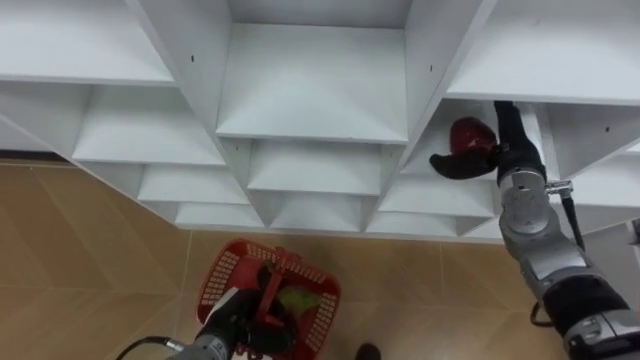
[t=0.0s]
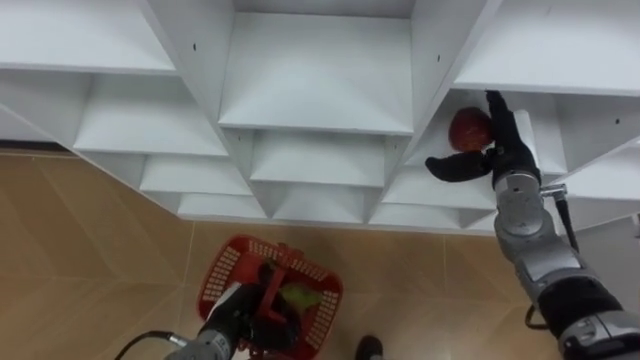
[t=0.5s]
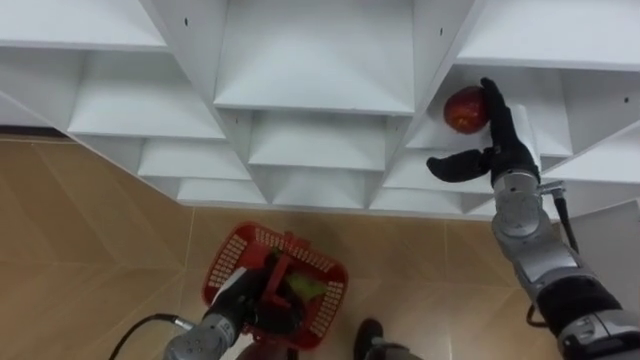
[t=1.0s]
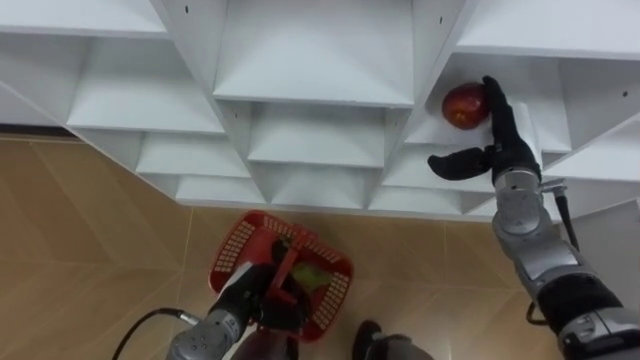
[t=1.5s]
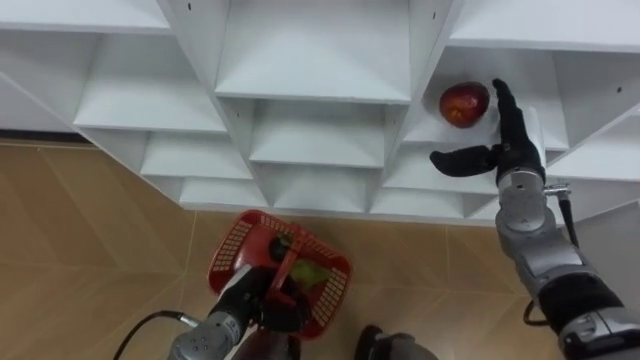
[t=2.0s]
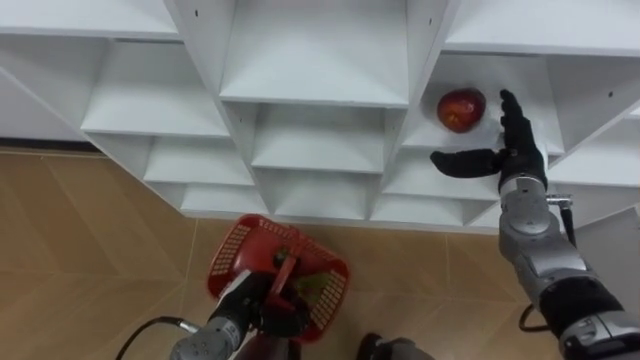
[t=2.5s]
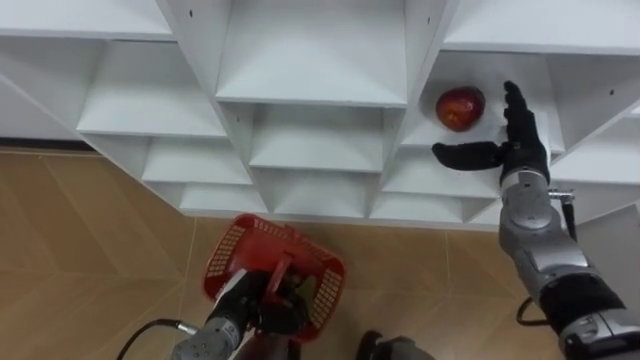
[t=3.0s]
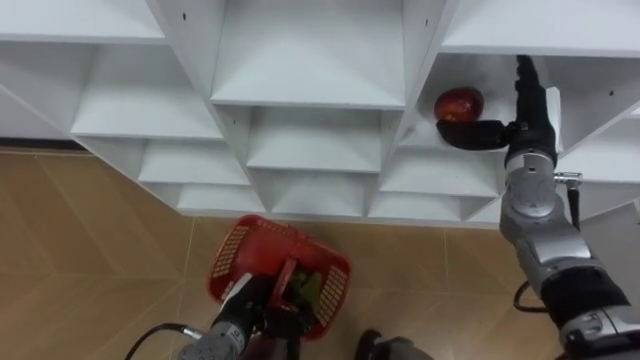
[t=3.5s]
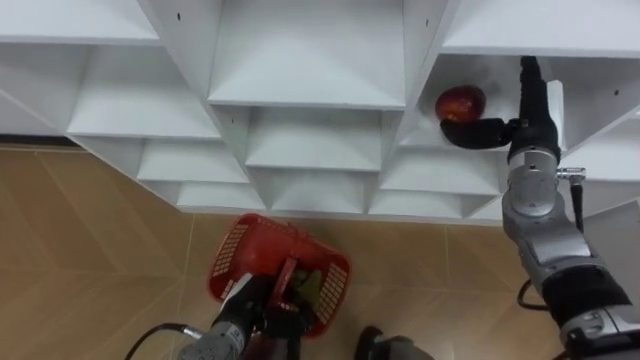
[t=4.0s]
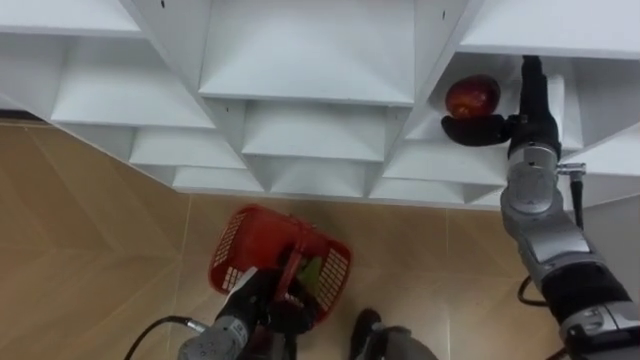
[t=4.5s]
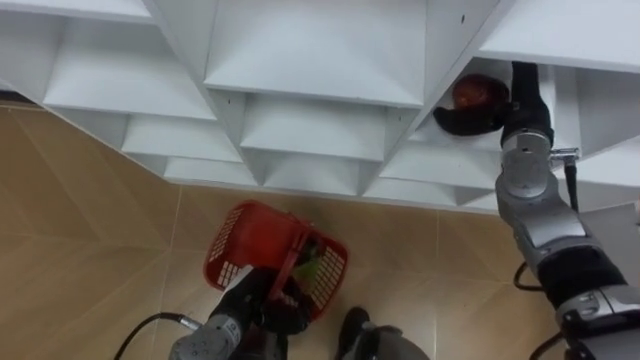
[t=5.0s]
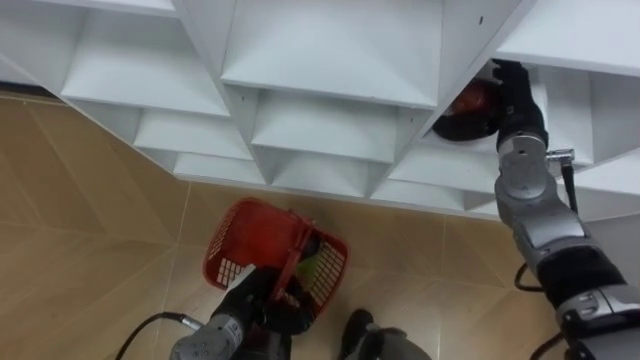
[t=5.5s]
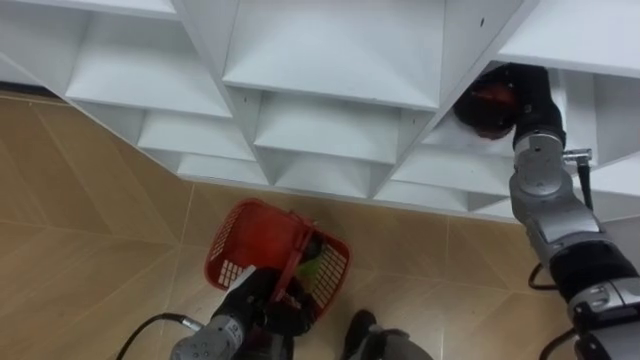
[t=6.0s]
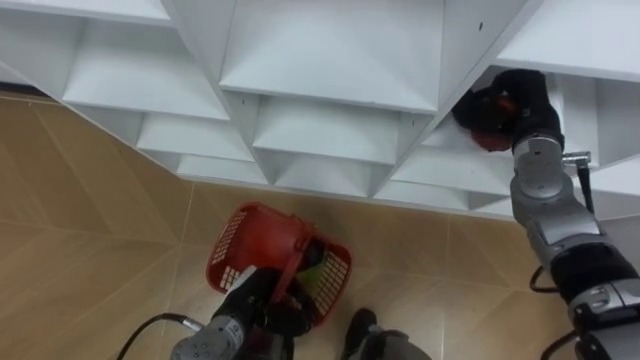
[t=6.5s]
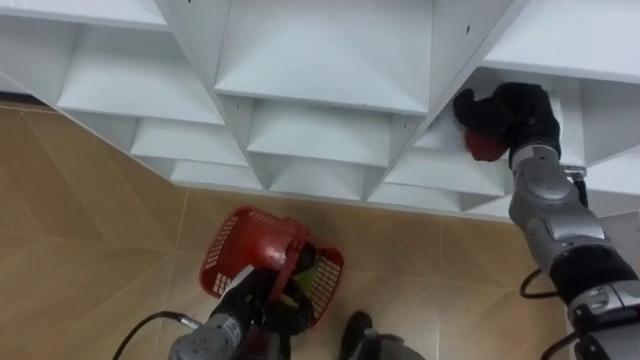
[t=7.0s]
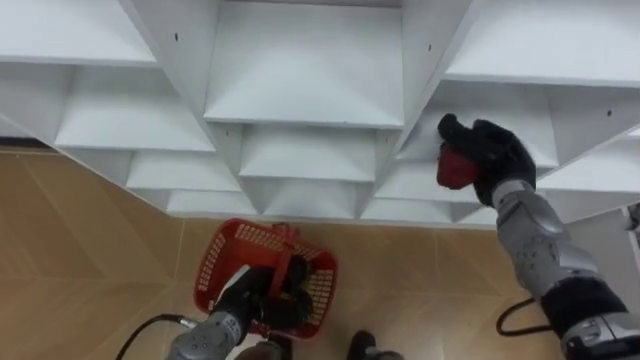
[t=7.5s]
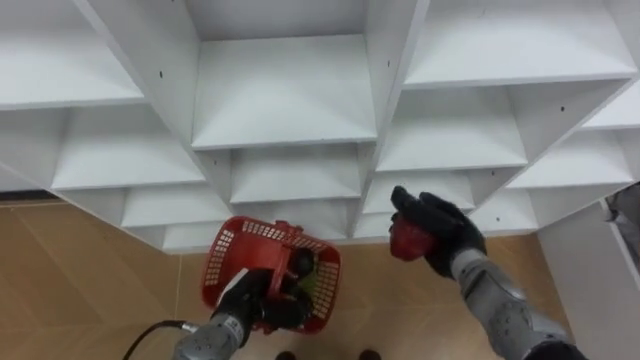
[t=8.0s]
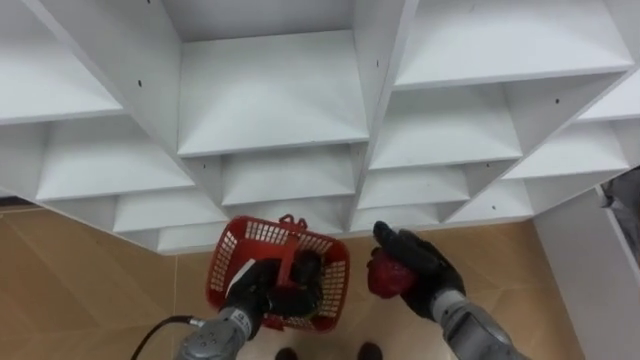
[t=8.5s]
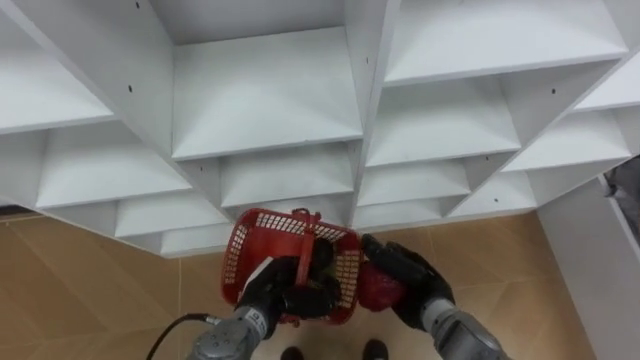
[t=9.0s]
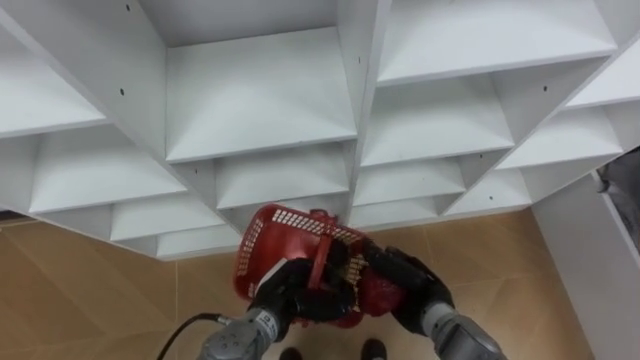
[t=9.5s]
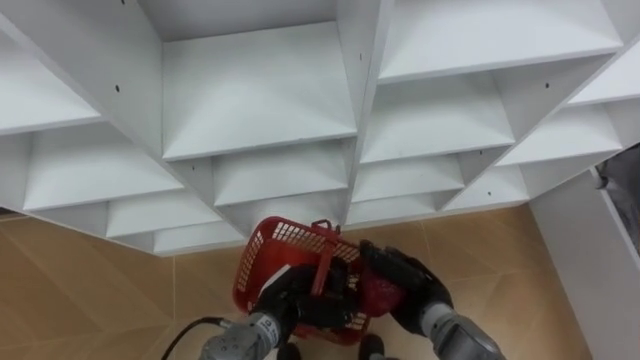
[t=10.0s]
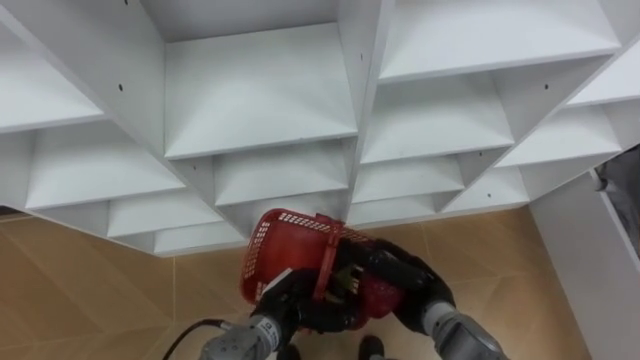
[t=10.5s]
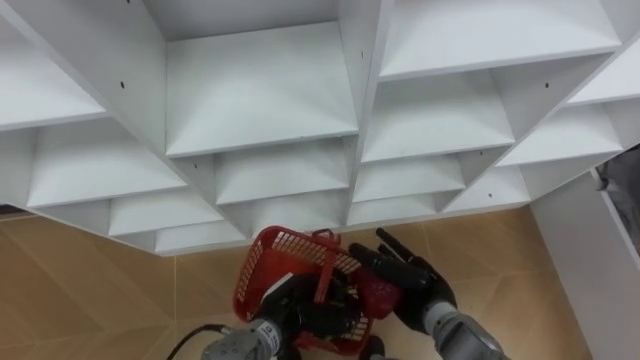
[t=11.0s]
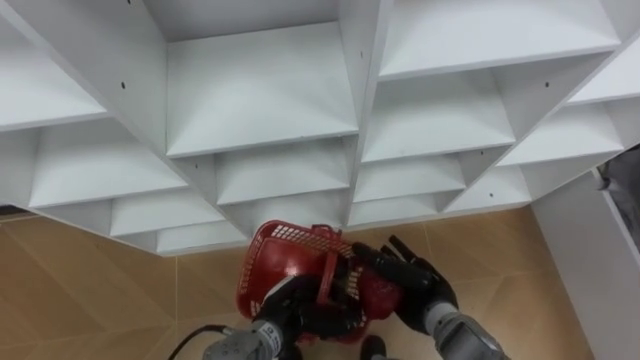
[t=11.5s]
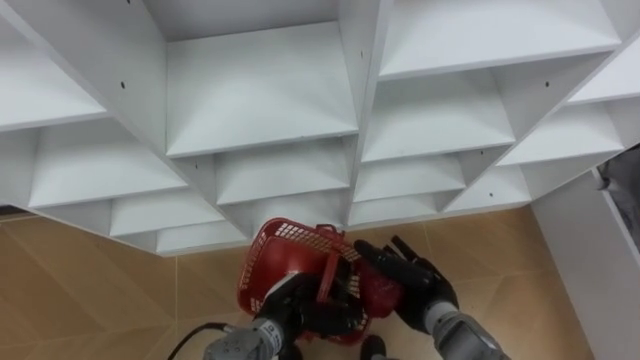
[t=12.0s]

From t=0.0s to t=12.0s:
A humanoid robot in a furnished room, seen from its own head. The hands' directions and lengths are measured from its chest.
Task of the whole recording: Hold the basket and collect the fruits from 3 different cells of the closet into it.
From t=4.0s to t=6.0s: The right hand closes its fingers.
From t=6.0s to t=8.0s: The right hand travels downward, backward and to the left by about 20 cm.
From t=8.0s to t=10.0s: The right hand goes roughly 10 cm backward and to the left, while the left hand is displaced to the right by roughly 5 cm.
From t=10.0s to t=12.0s: The right hand opens.

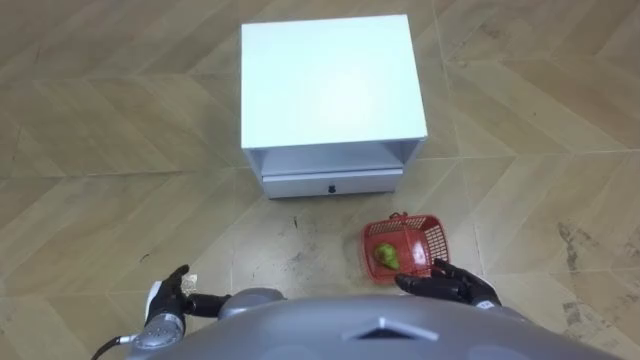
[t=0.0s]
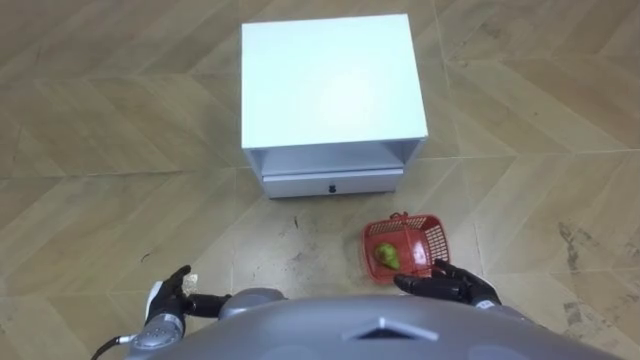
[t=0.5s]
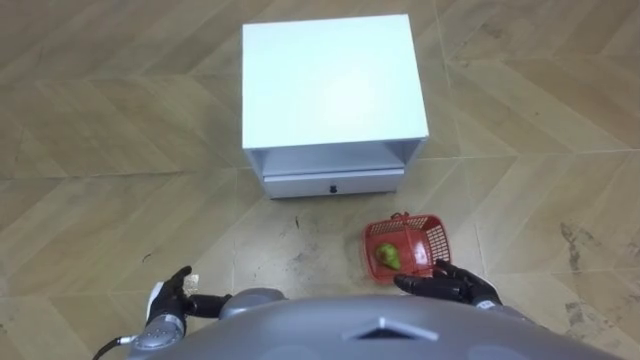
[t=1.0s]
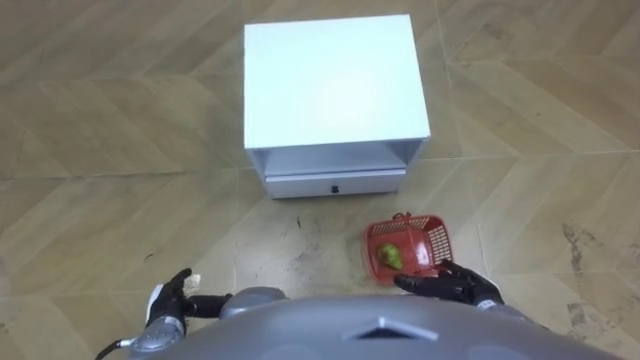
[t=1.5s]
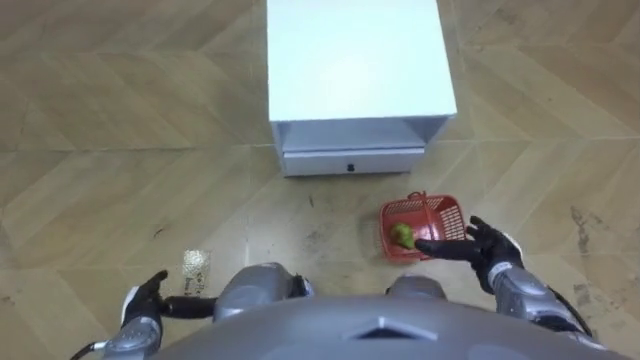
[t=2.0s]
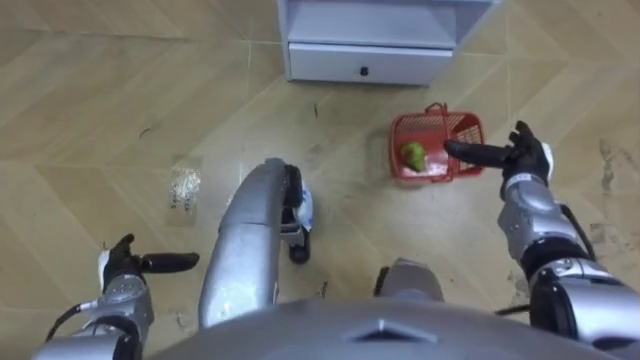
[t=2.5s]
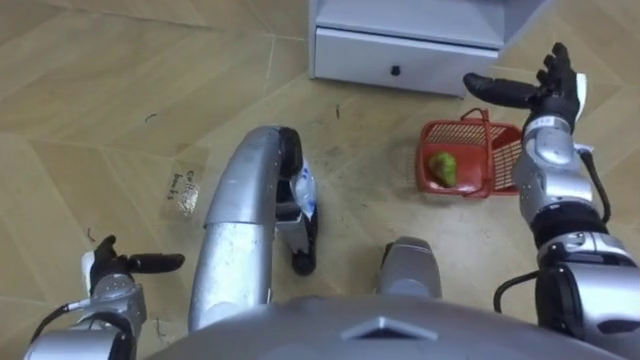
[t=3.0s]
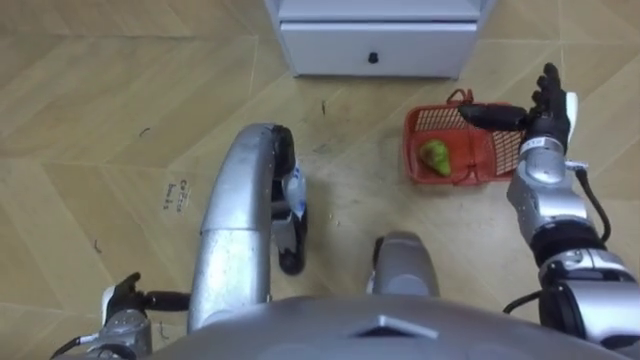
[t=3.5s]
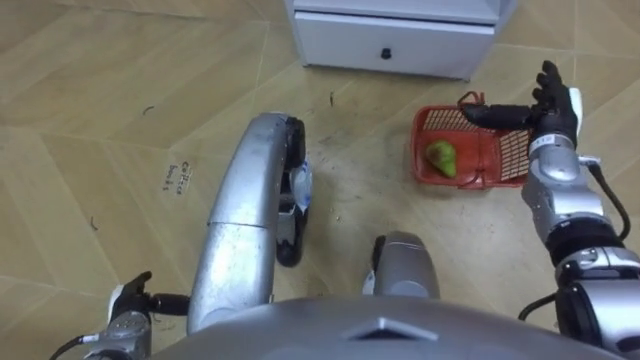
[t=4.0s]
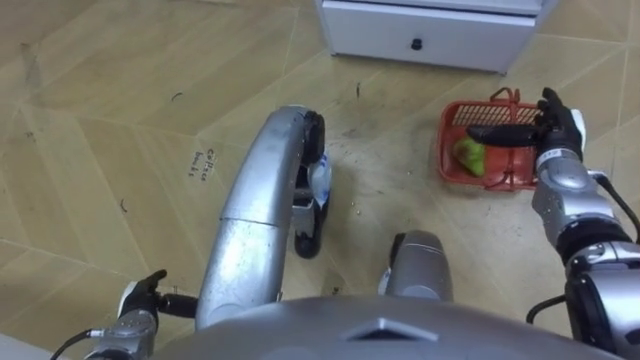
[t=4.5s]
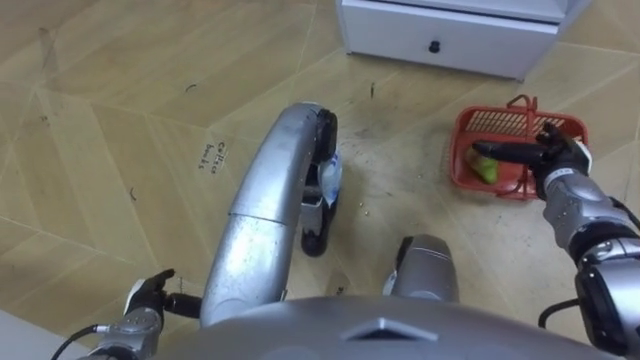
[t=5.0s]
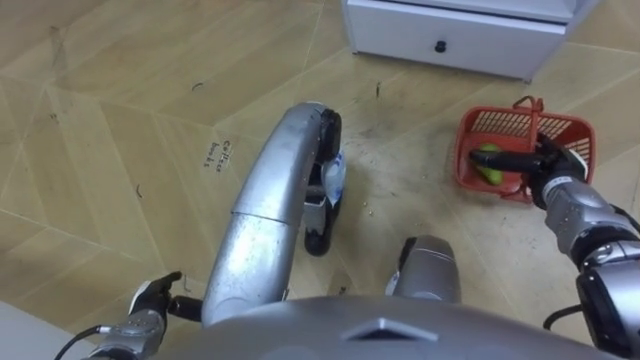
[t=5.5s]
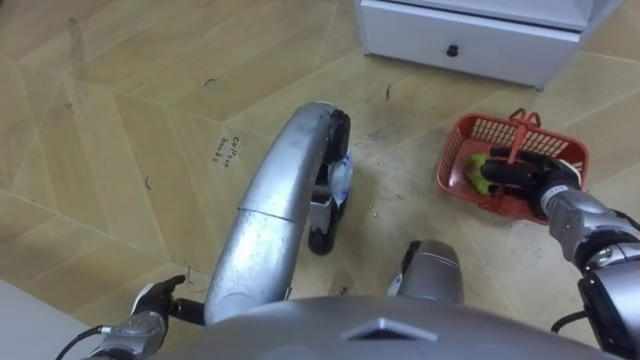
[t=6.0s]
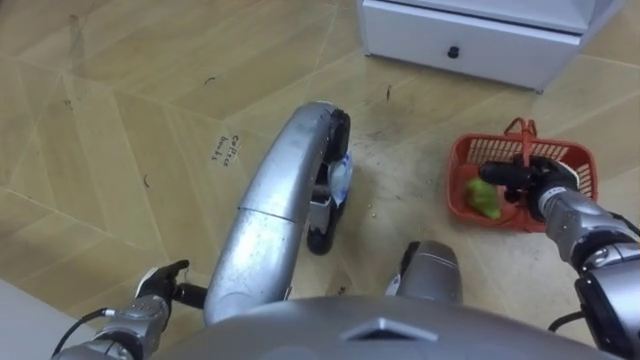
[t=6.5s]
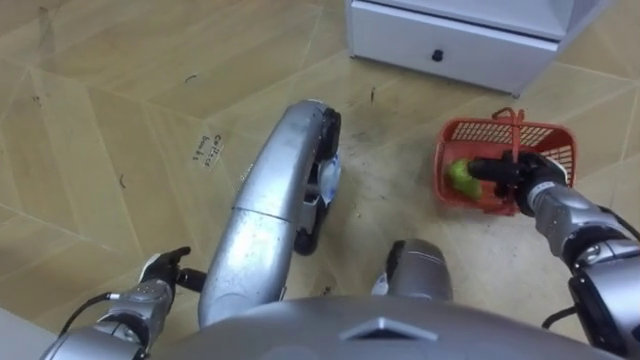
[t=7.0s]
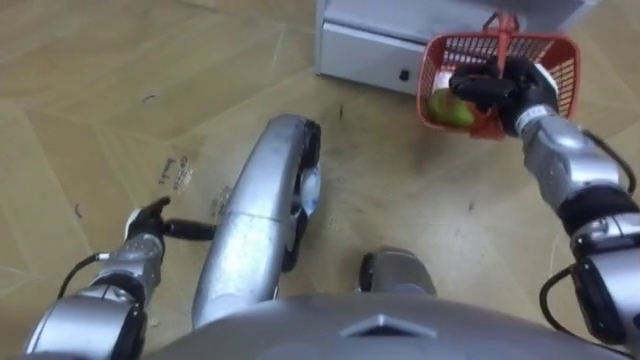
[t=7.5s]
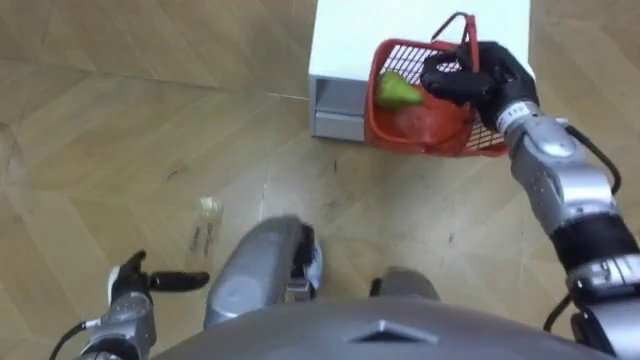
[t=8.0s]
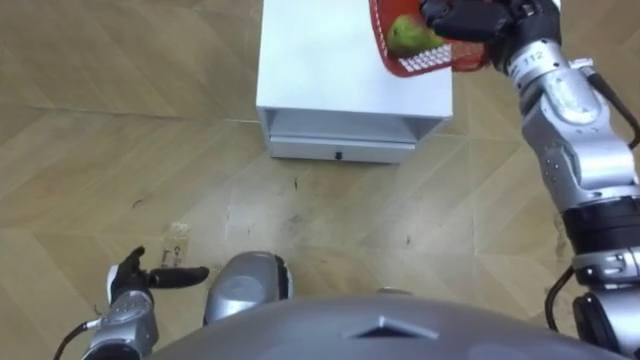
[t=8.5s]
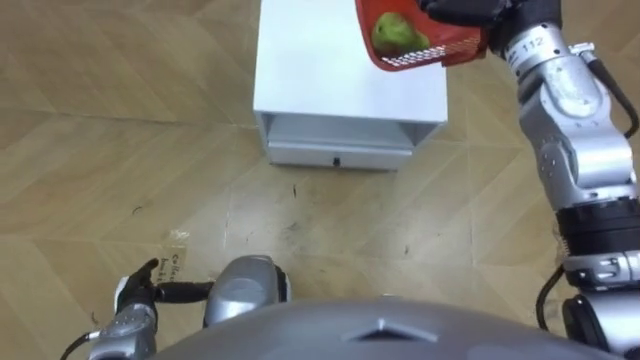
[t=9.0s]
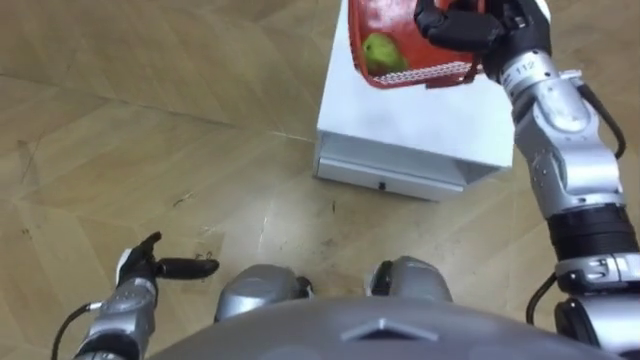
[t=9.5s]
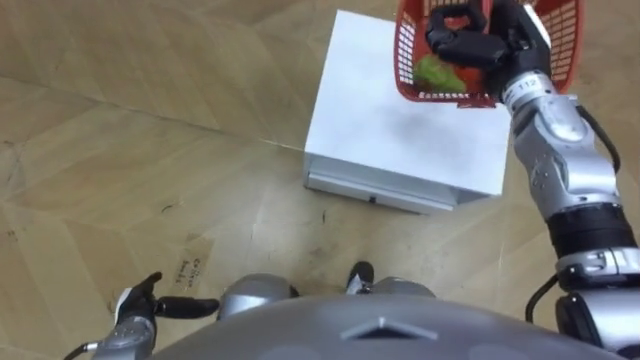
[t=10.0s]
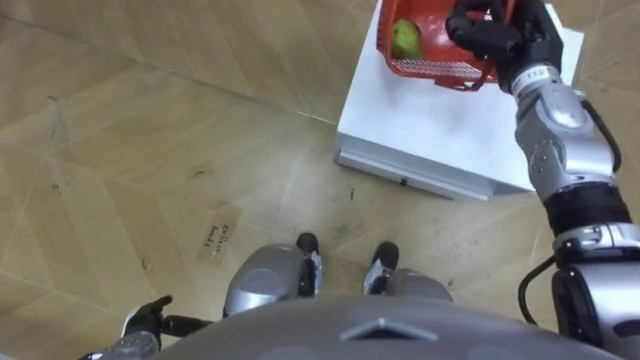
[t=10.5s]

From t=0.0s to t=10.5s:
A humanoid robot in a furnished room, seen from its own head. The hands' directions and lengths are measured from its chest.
Task of the whole recording: Pick up the fruit basket from the floor and place it on the cabinet.
From t=2.0s to t=4.0s: The right hand is displaced forward and upward by some 20 cm.
From t=4.0s to t=6.5s: The right hand is displaced downward and backward by roughly 10 cm, and closes up.
From t=6.5s to t=8.5s: The right hand is displaced upward, forward and to the left by roughly 30 cm; the left hand goes forward and returns, some 10 cm each way.
From t=8.5s to t=10.5s: The left hand goes approximately 5 cm backward.
